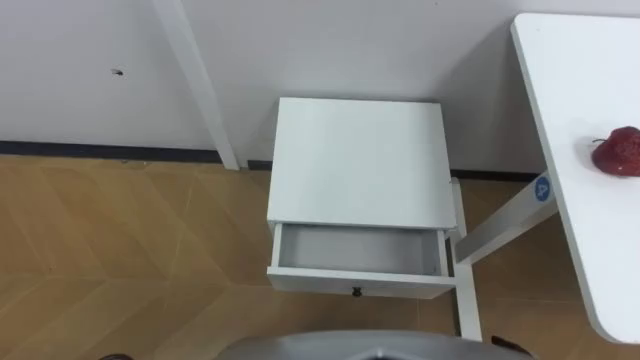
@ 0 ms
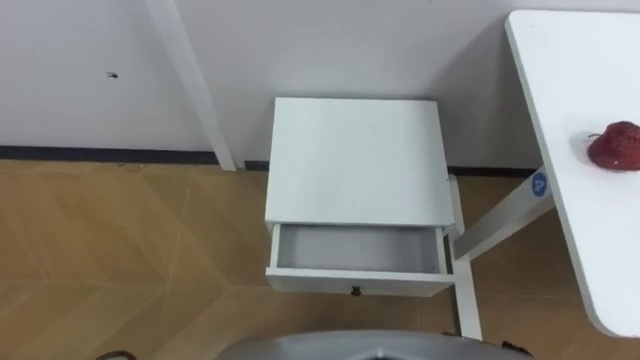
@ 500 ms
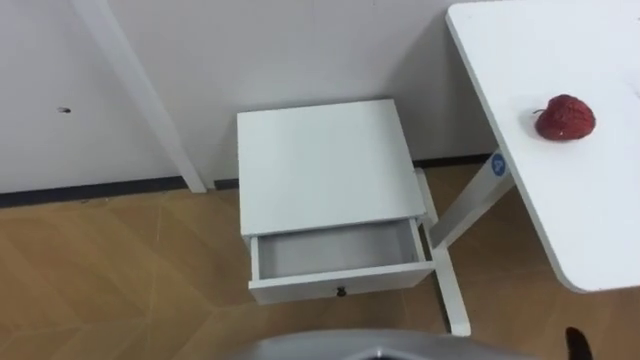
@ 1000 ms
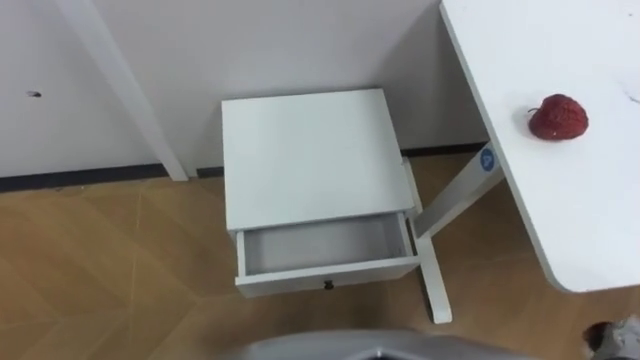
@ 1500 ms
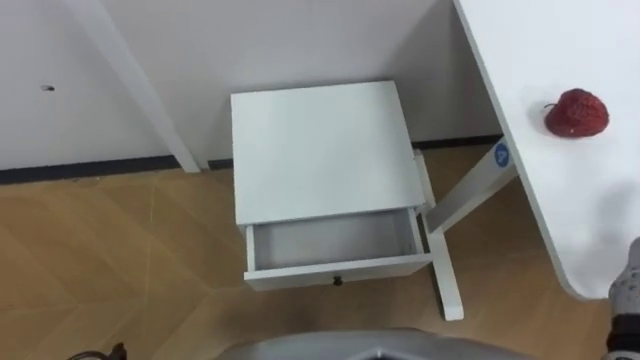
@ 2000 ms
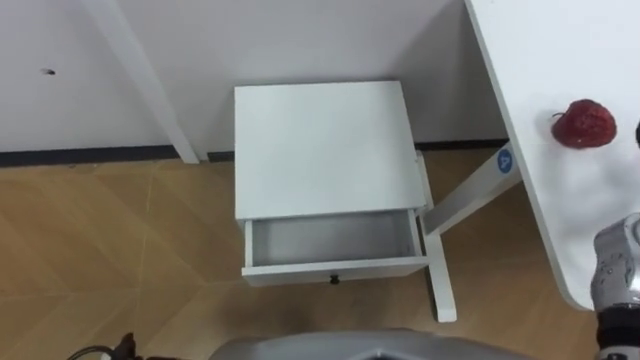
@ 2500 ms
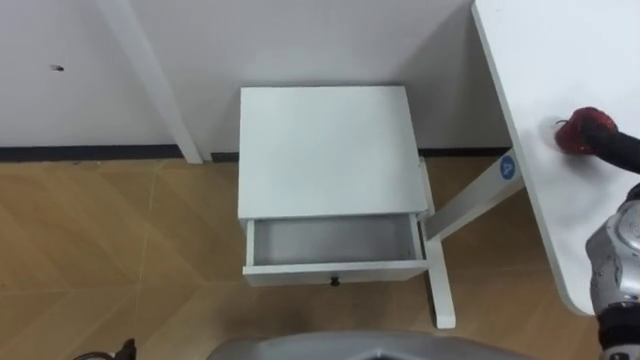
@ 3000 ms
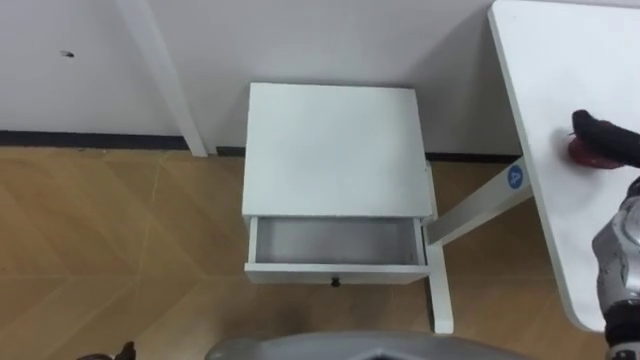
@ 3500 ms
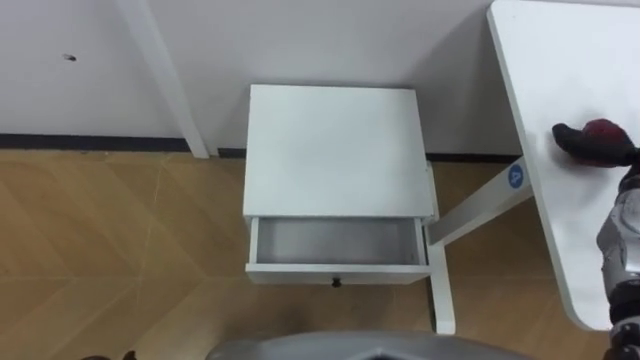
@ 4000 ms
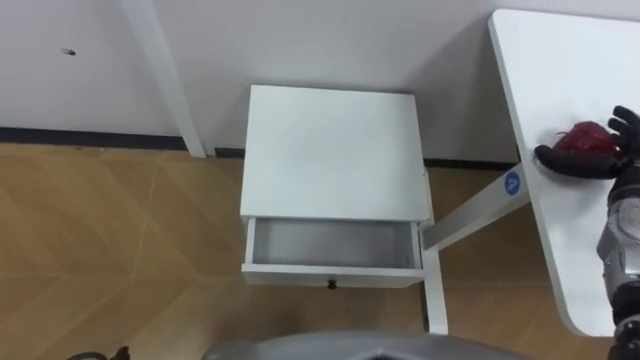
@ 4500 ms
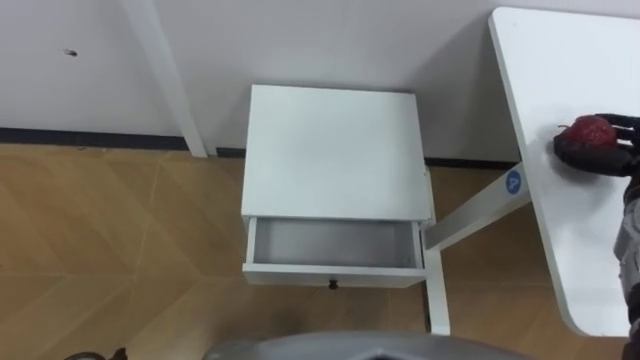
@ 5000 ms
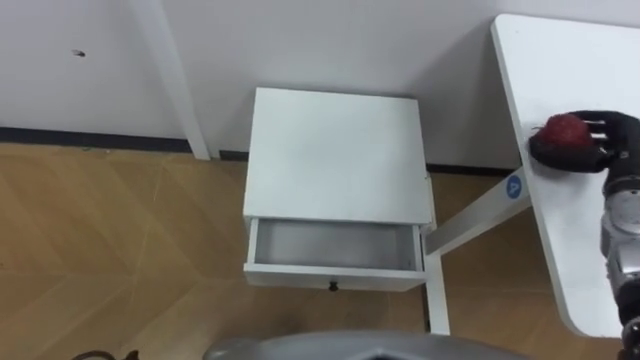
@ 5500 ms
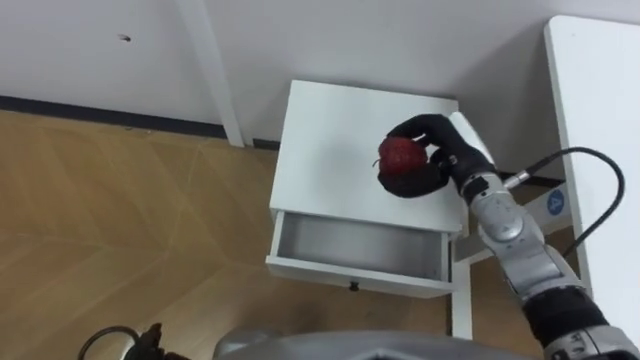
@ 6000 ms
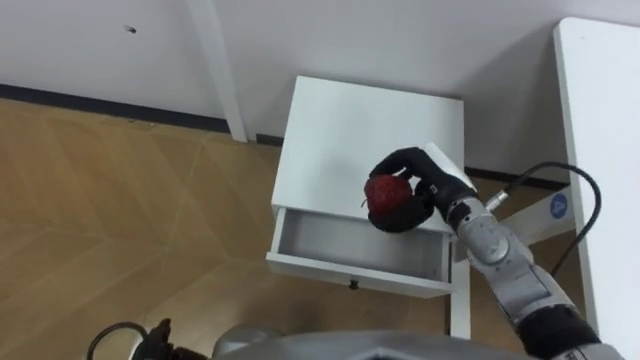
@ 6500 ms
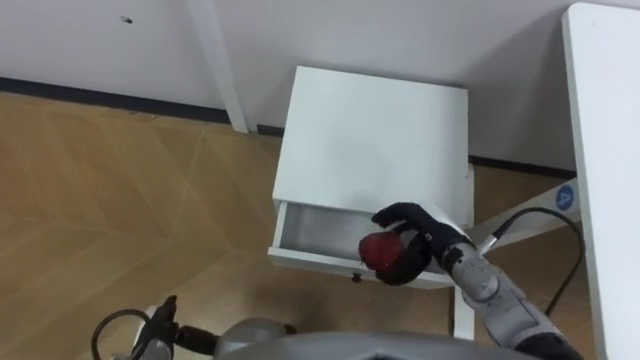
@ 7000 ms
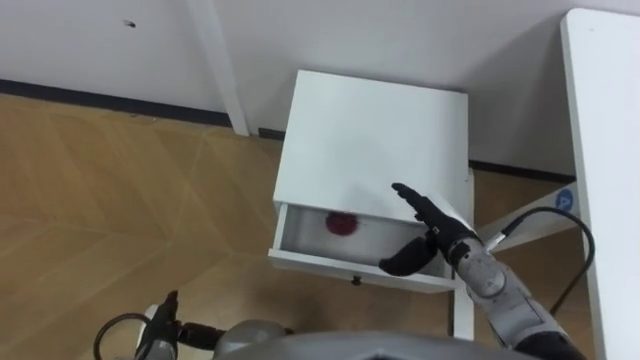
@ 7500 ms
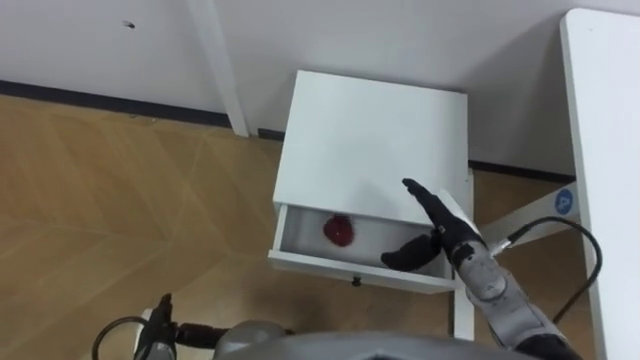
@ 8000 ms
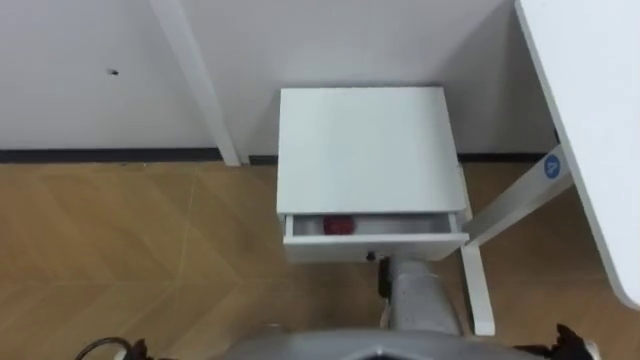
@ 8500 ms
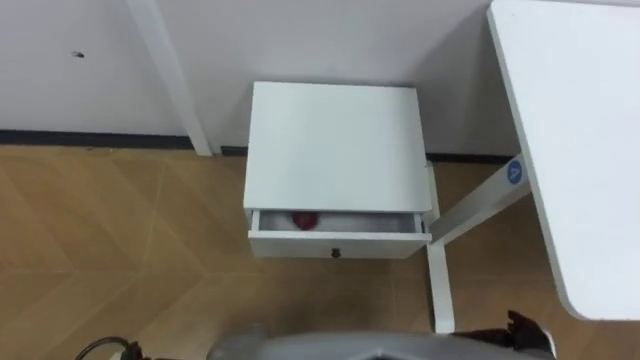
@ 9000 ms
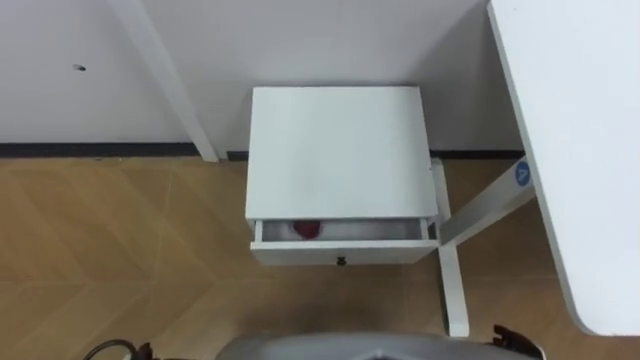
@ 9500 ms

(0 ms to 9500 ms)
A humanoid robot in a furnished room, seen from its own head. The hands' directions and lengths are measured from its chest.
Task of the whole recording: Pick up the apple from the table, put it in the drawer, and close the drawer with leg.
5500 ms - 7500 ms: The right hand shifts some 25 cm to the left and downward, and opens up.

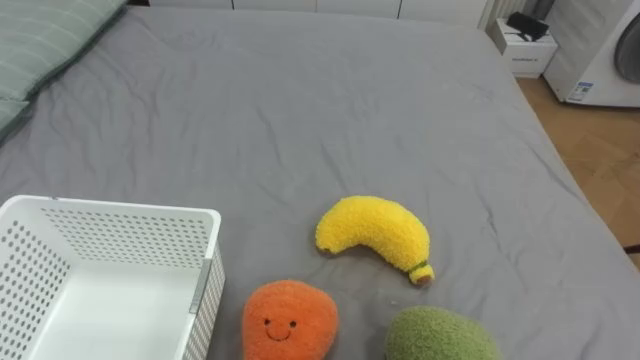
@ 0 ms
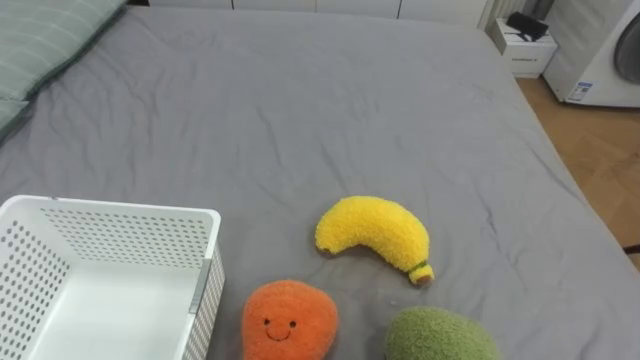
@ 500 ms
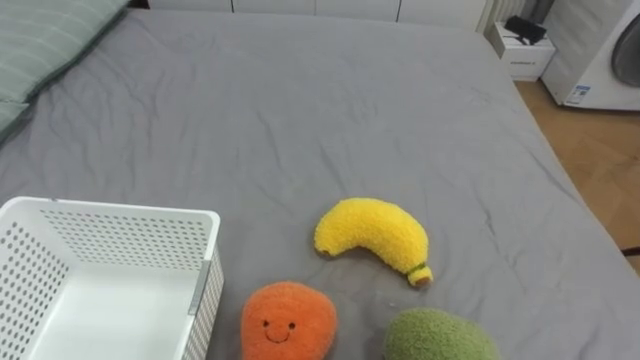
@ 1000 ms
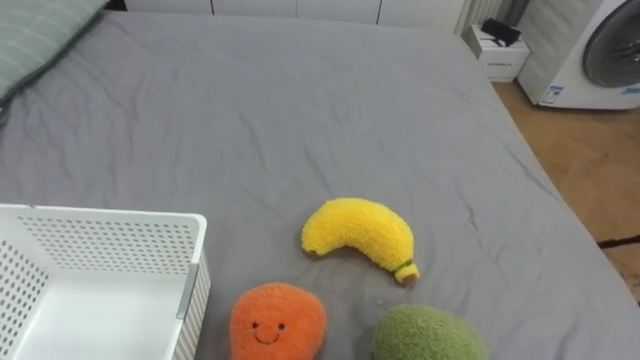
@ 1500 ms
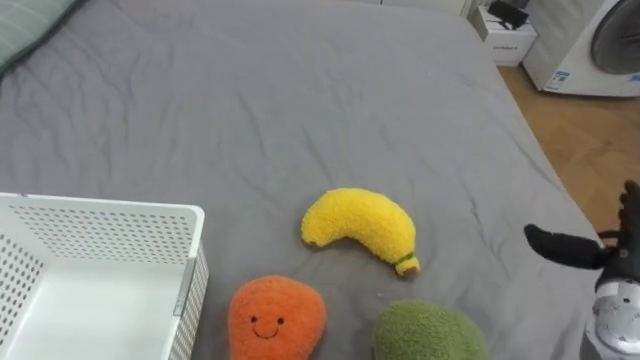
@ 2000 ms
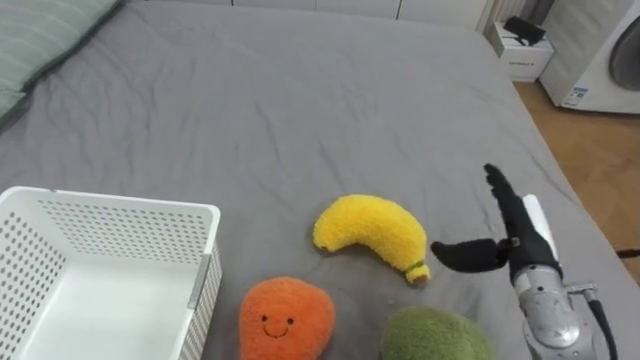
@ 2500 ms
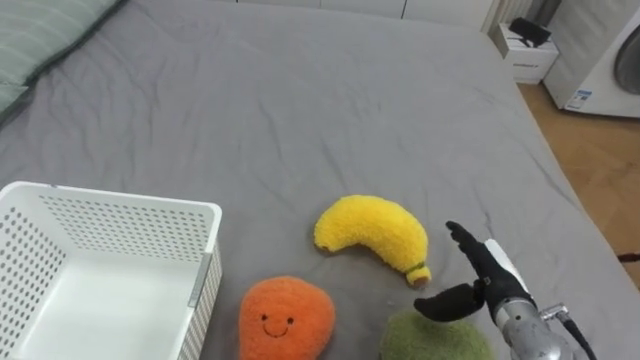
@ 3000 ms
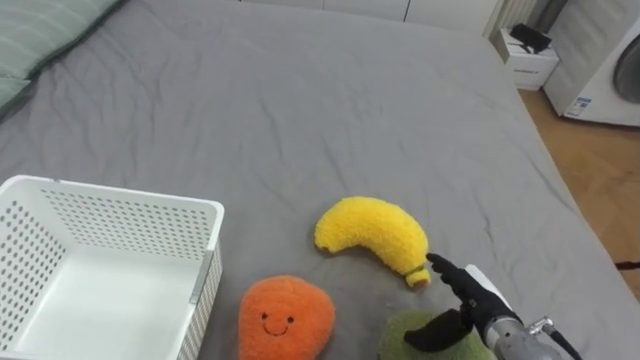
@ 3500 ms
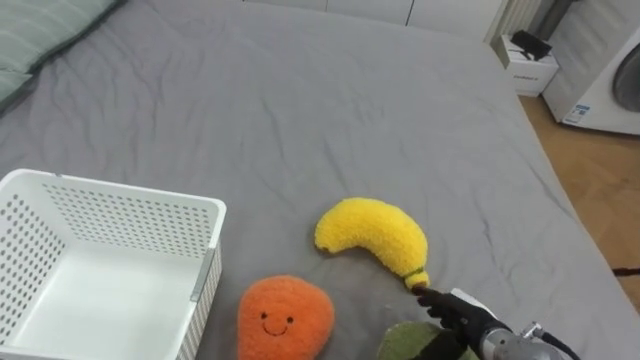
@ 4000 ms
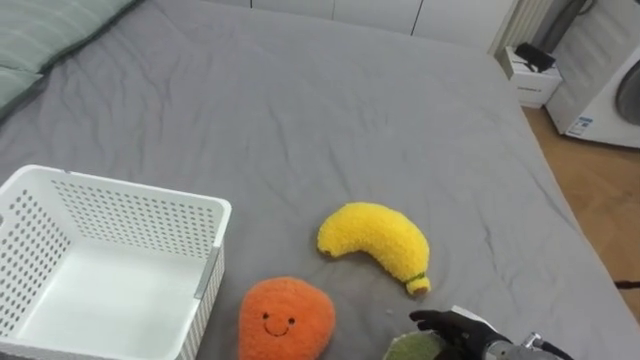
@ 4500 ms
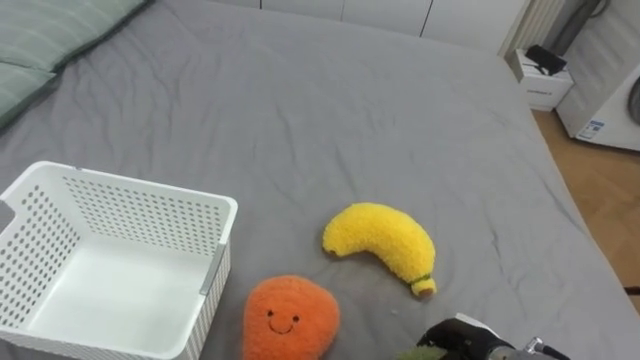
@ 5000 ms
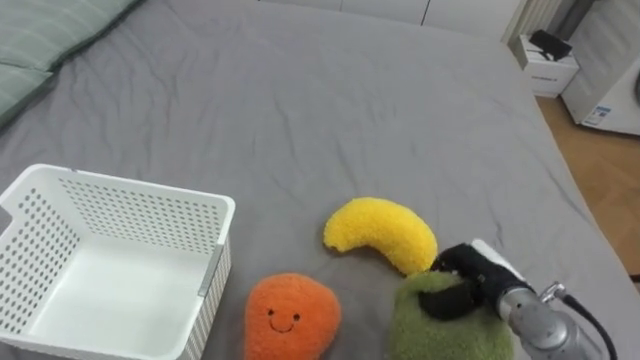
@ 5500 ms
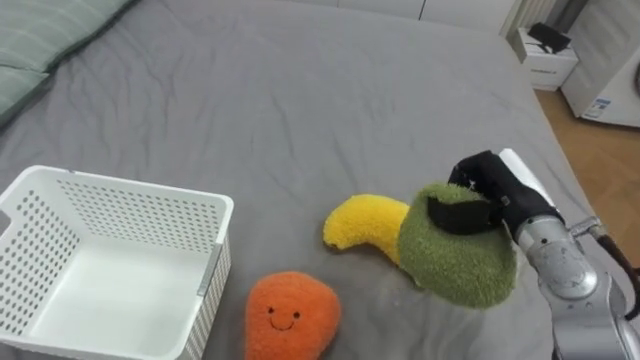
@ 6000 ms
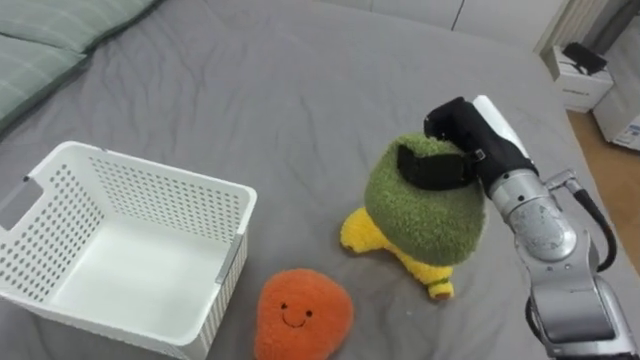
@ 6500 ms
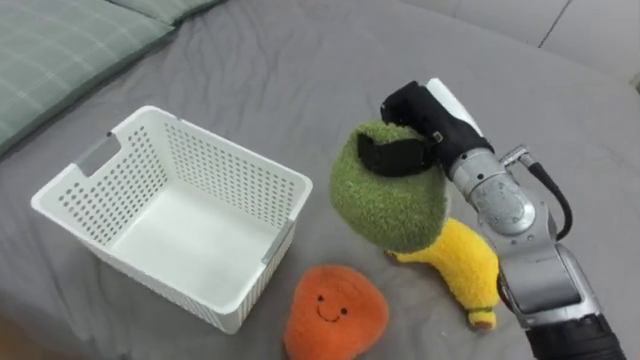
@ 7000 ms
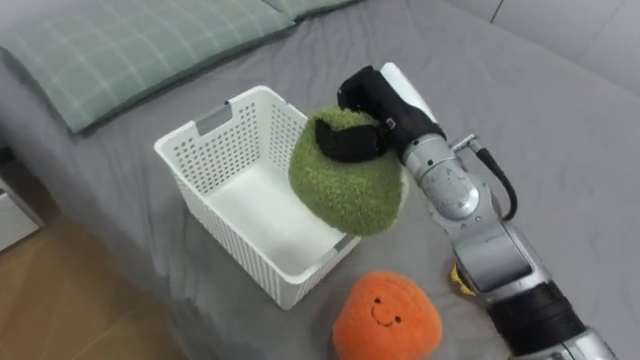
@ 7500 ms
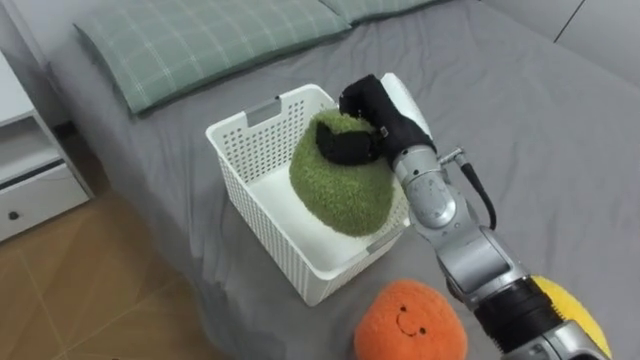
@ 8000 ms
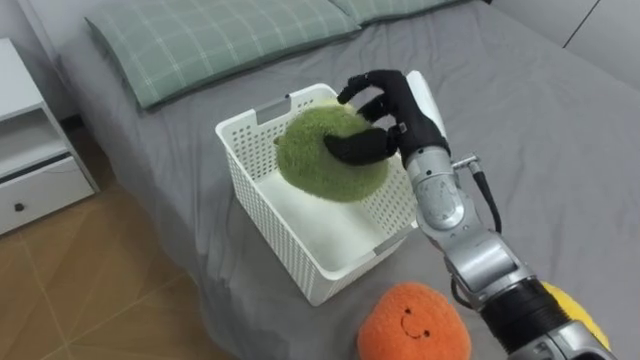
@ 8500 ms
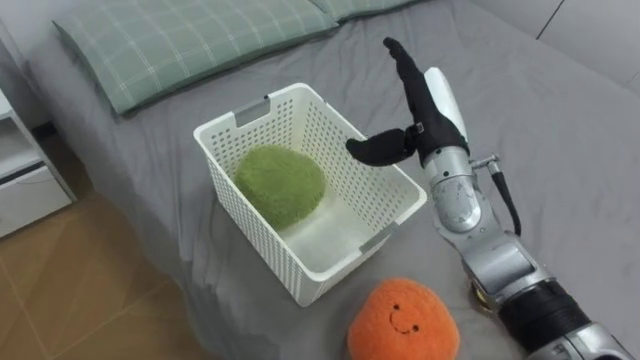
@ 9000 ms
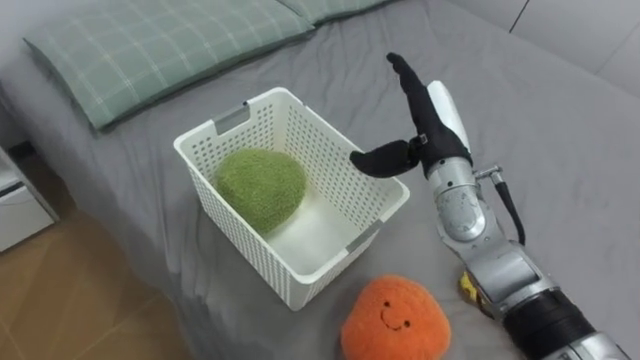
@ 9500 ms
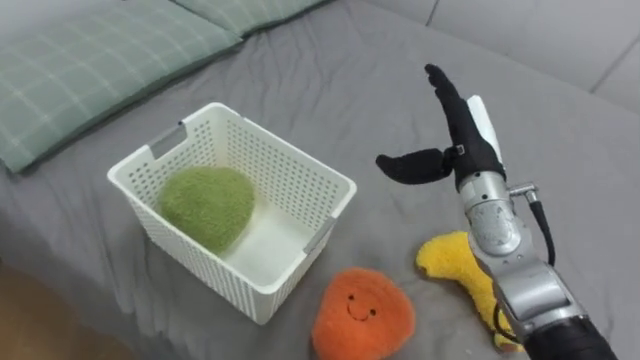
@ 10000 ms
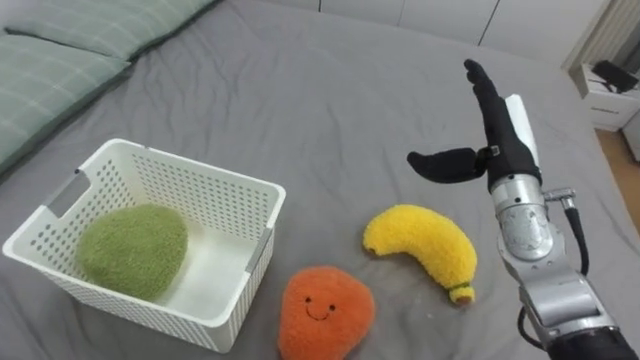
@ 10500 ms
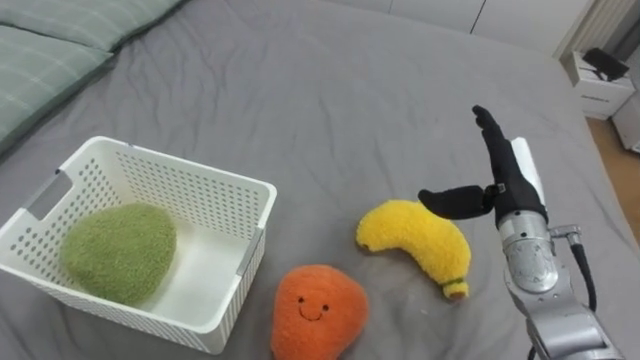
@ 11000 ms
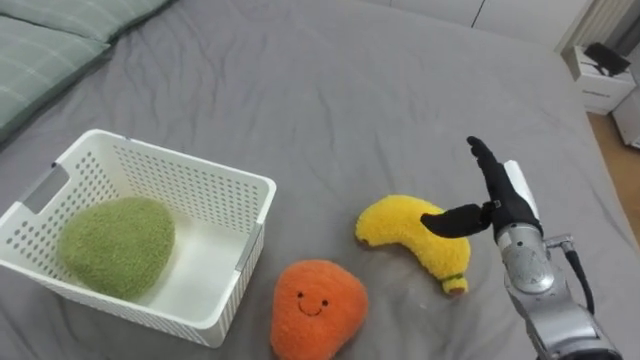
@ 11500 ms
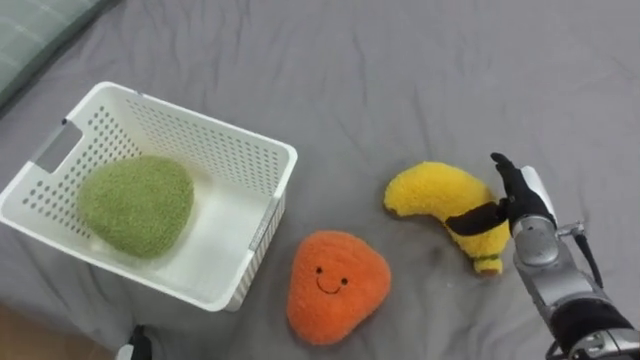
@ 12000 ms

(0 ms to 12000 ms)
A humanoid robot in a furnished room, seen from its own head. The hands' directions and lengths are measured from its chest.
Task of the whole recording: Put the toys on the bed into the basket on the left.
2000 ms - 4000 ms: The right hand goes approximately 20 cm to the left and downward.
4000 ms - 6000 ms: The right hand heads upward and forward, covering about 20 cm, and closes.
6000 ms - 8000 ms: The right hand shifts some 15 cm to the left and forward.
8000 ms - 10000 ms: The right hand moves to the right, roughly 10 cm, and opens up.
10000 ms - 12000 ms: The right hand travels downward and to the right by some 15 cm.
